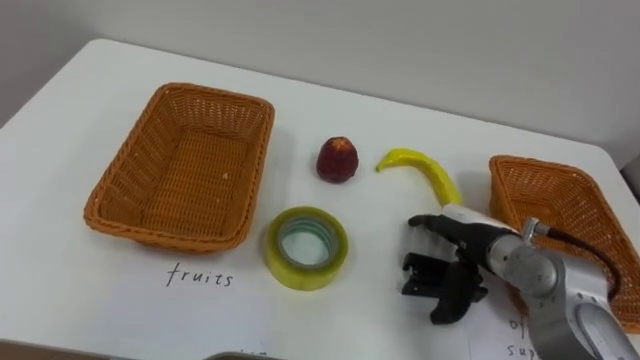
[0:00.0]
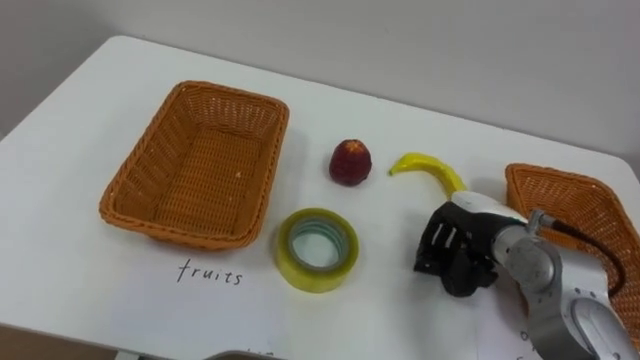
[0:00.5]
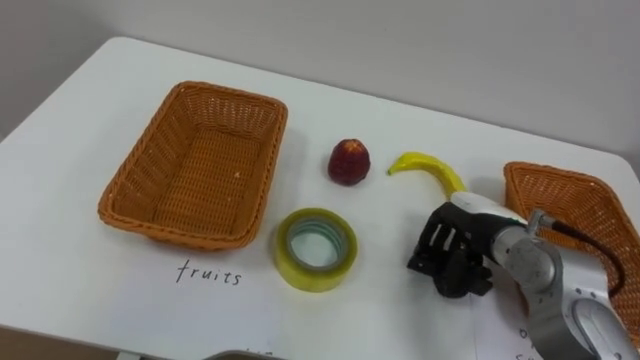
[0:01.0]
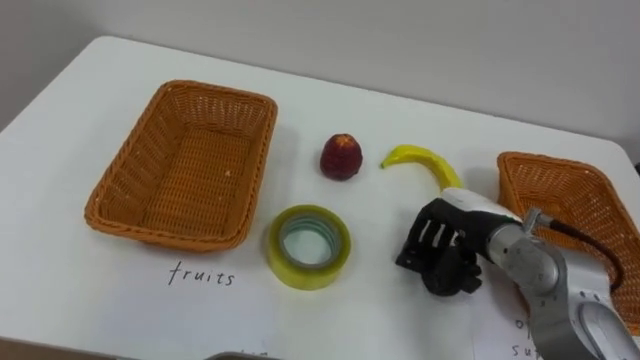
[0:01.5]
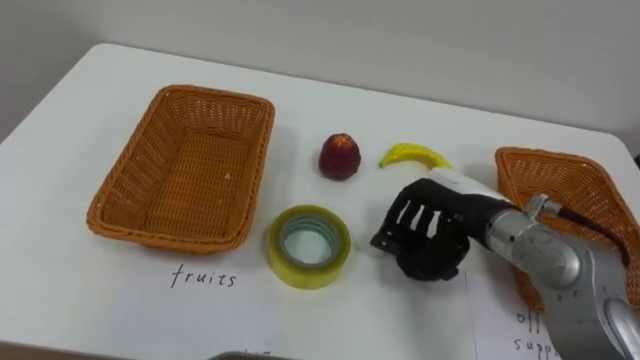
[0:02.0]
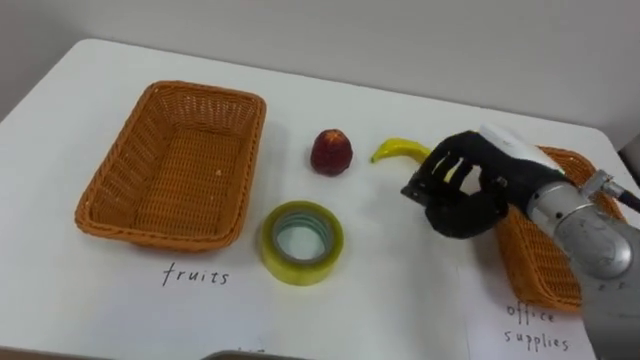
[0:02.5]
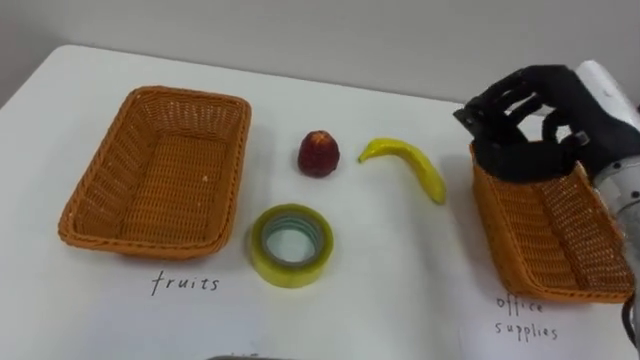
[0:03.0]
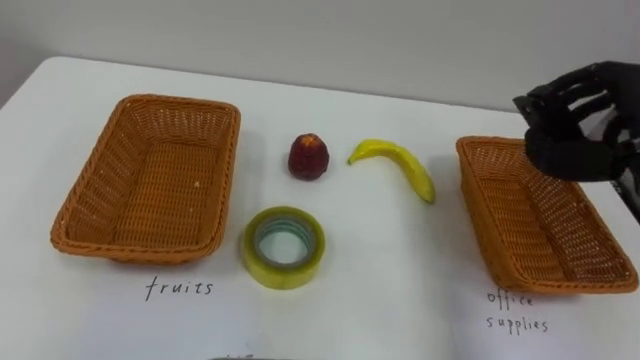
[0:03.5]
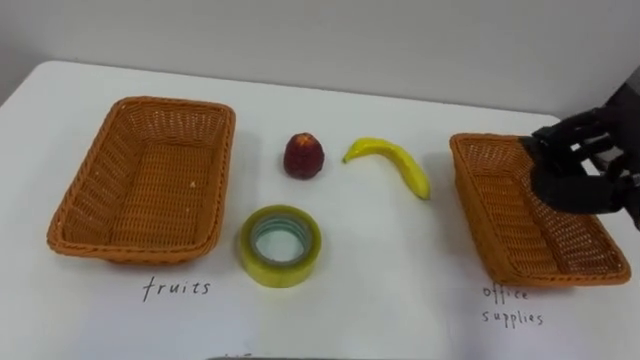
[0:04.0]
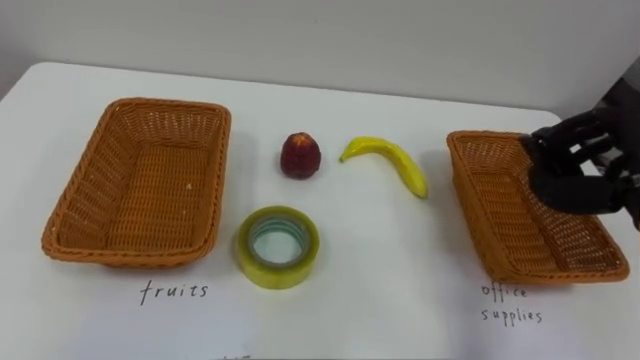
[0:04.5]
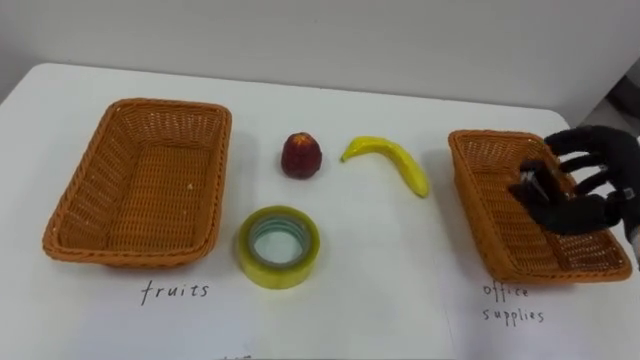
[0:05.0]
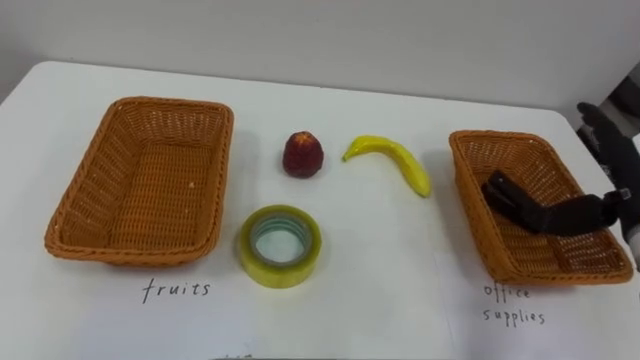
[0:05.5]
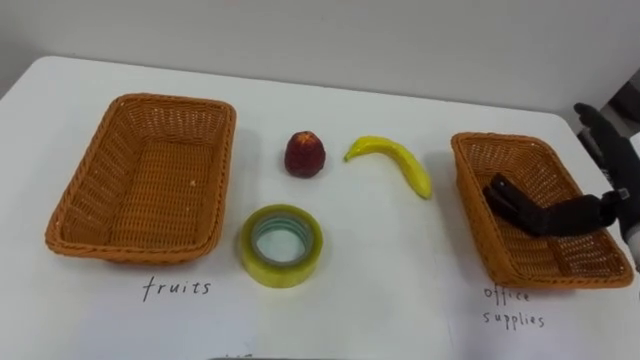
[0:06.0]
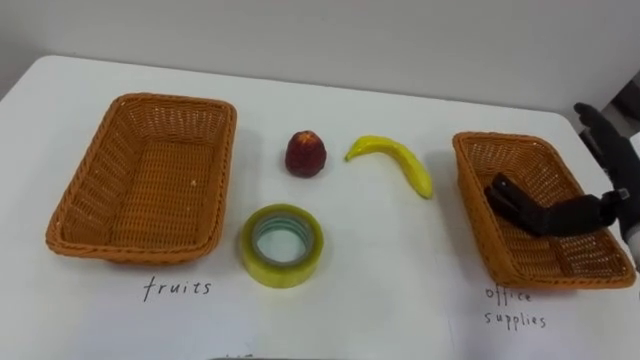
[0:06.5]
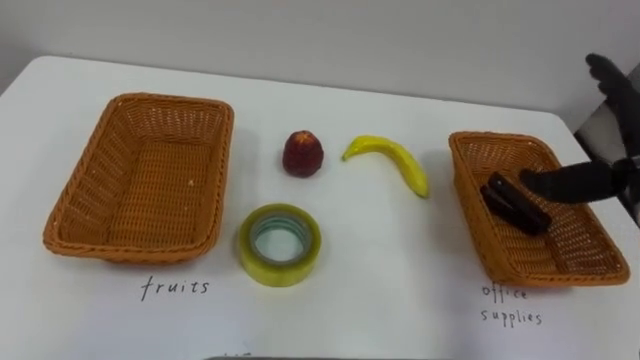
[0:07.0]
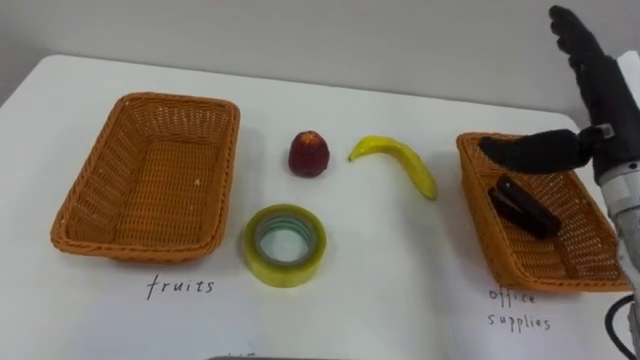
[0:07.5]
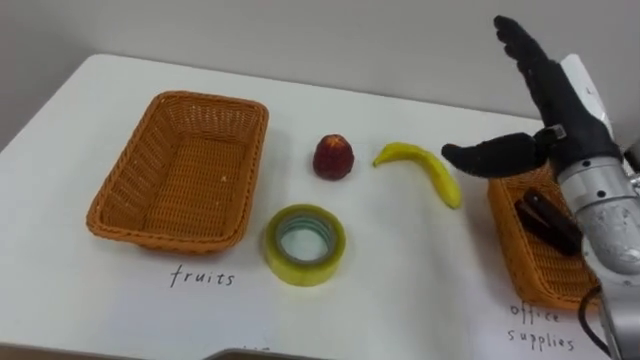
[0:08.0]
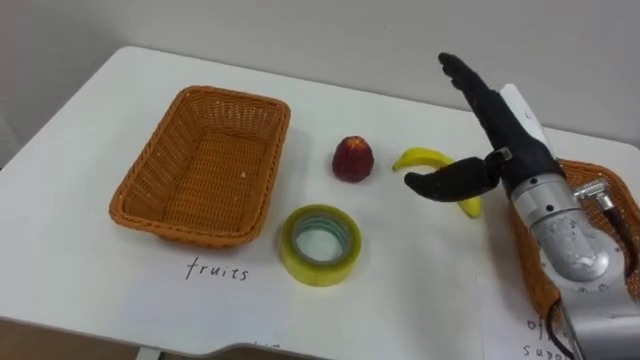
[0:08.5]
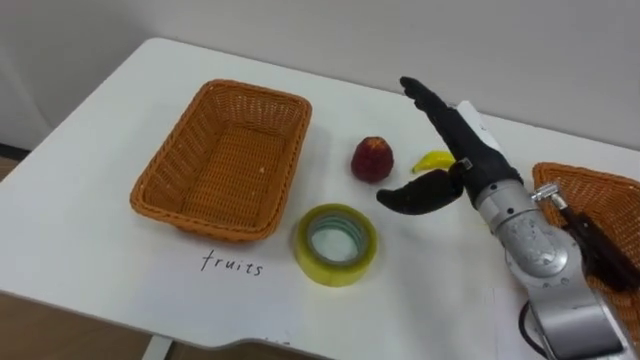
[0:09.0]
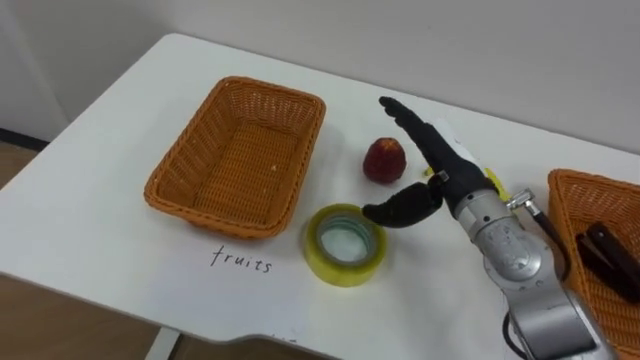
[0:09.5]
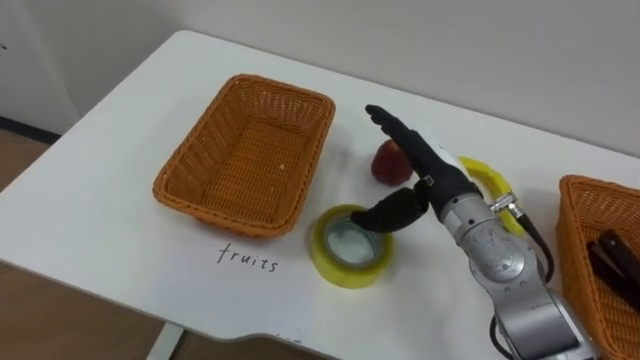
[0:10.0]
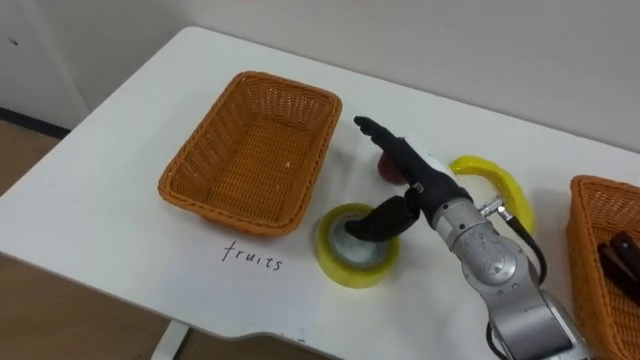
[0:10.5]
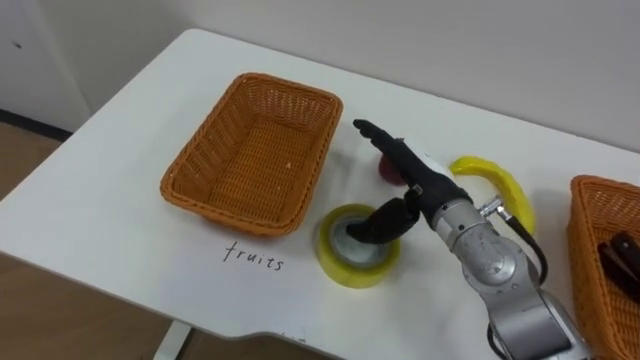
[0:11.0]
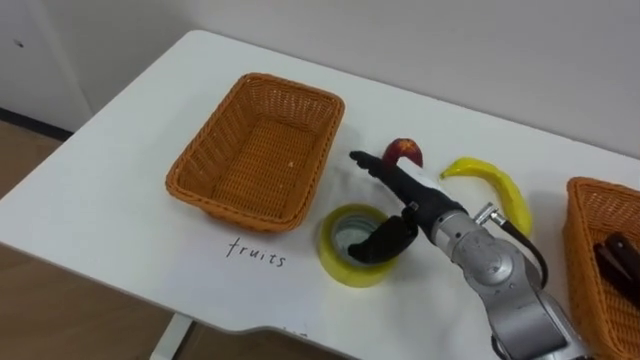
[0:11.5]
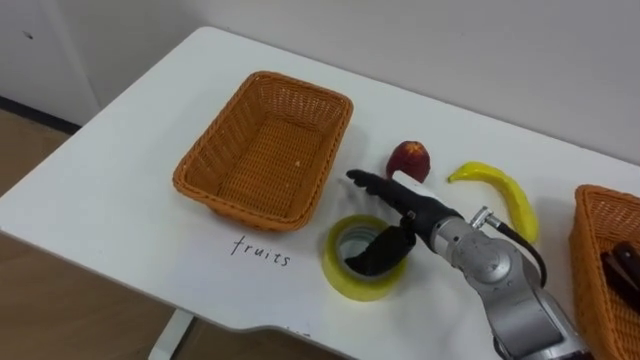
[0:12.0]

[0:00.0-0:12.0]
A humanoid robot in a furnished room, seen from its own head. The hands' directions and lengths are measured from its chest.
Task of the whole recording: Separate the items on the table and place them into the two baskets.
0:00.0 to 0:02.0: The right hand moves upward, roughly 5 cm, and closes.
0:08.0 to 0:10.0: The right hand heads to the left and downward, covering approximately 15 cm.
0:10.0 to 0:12.0: The right hand goes approximately 5 cm downward.

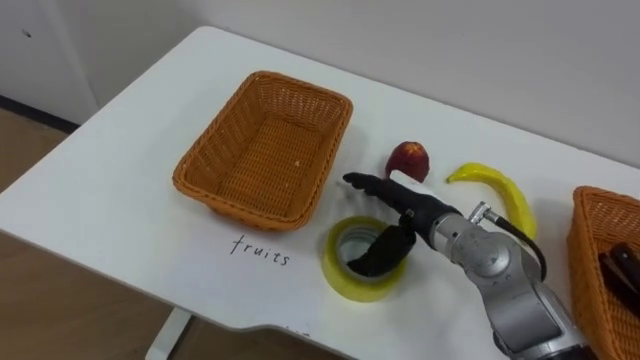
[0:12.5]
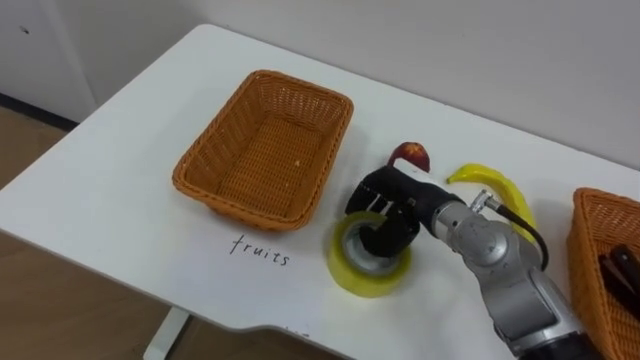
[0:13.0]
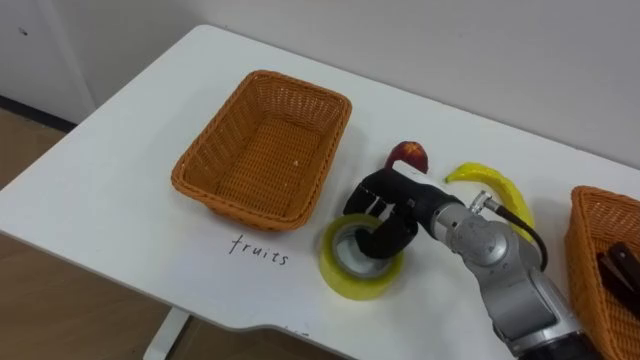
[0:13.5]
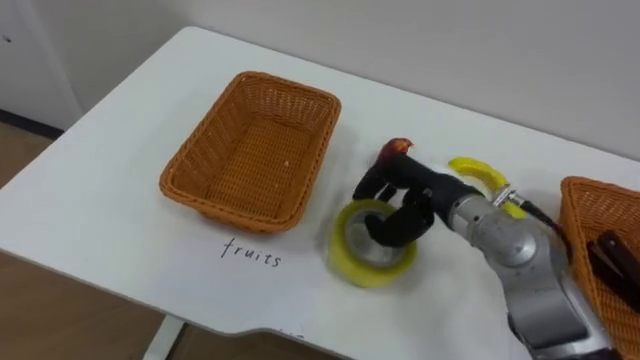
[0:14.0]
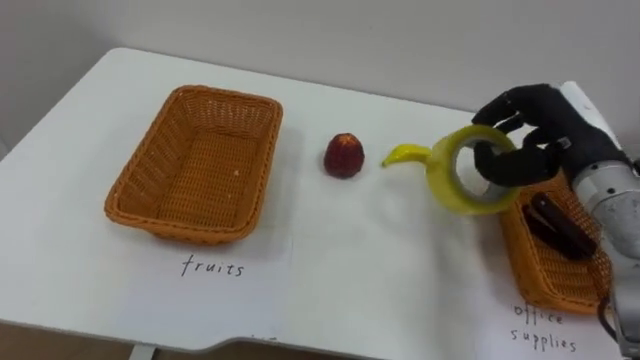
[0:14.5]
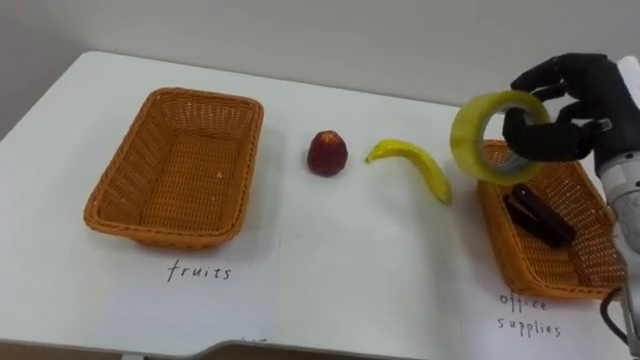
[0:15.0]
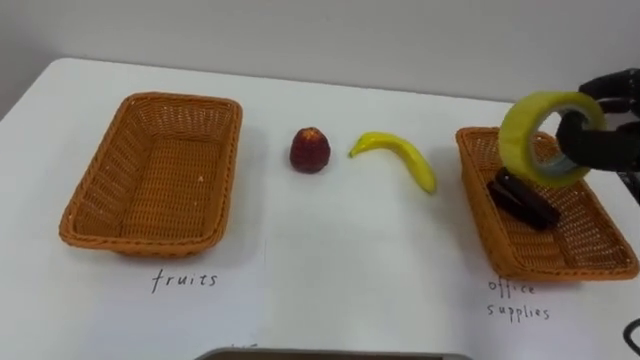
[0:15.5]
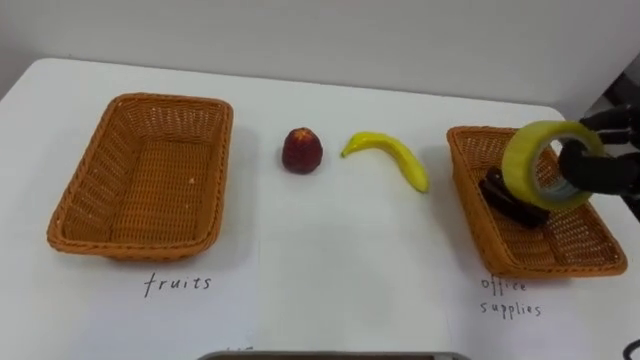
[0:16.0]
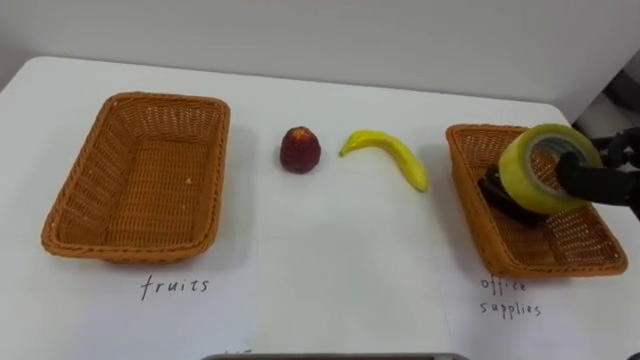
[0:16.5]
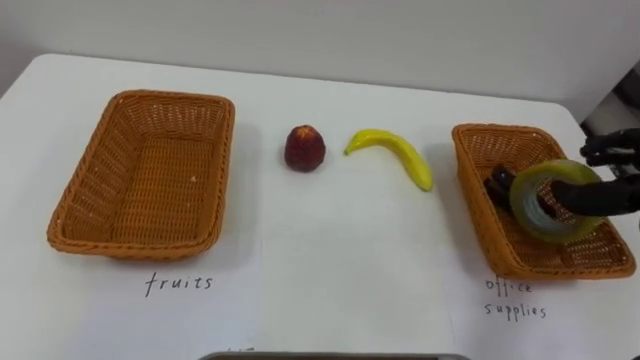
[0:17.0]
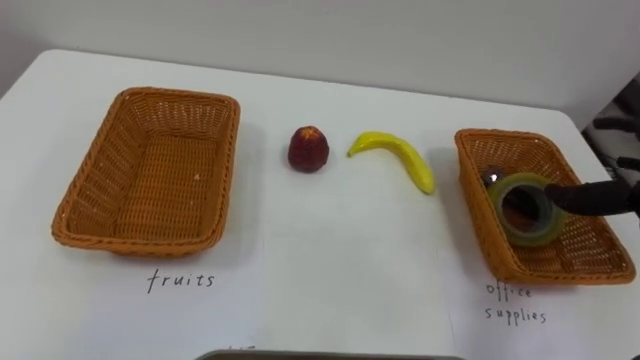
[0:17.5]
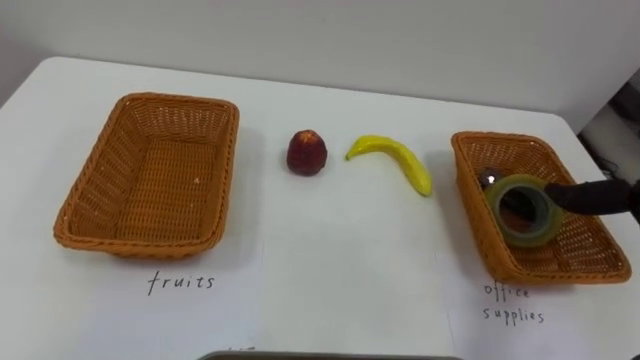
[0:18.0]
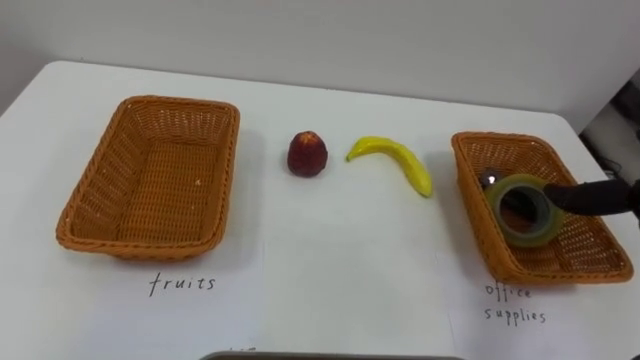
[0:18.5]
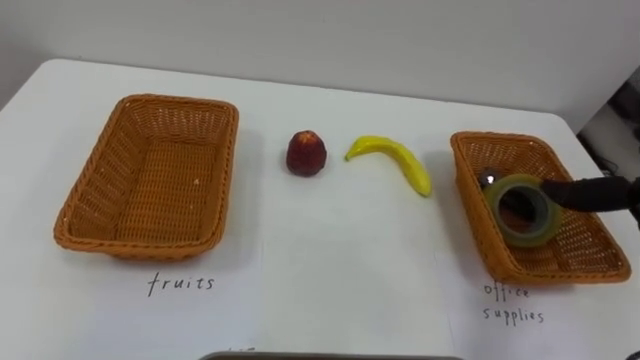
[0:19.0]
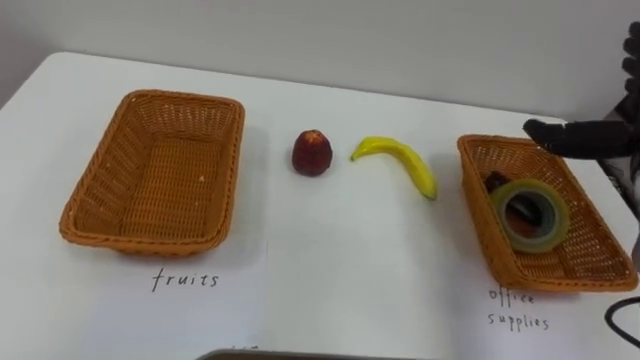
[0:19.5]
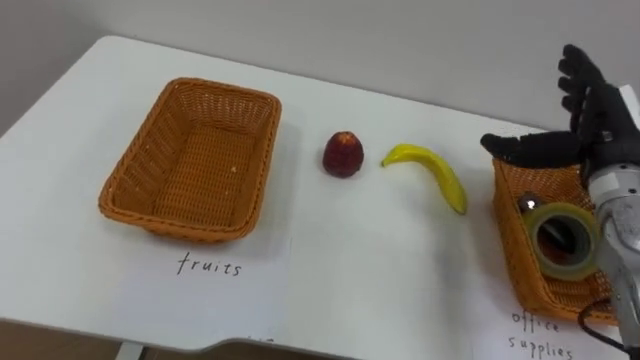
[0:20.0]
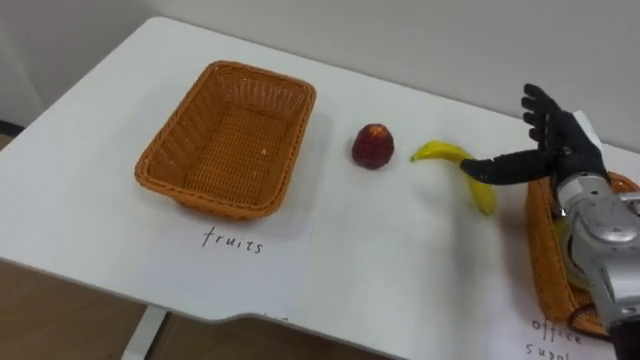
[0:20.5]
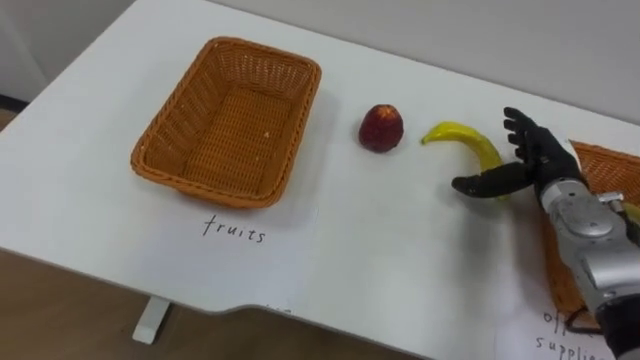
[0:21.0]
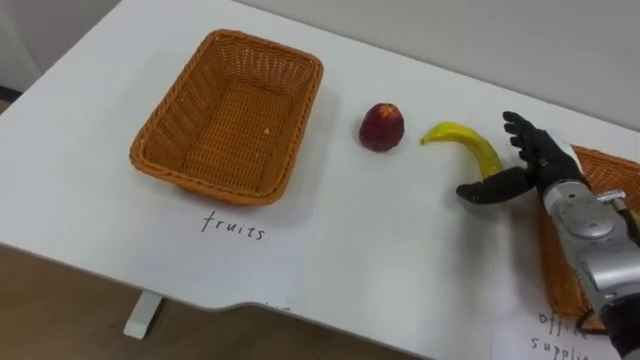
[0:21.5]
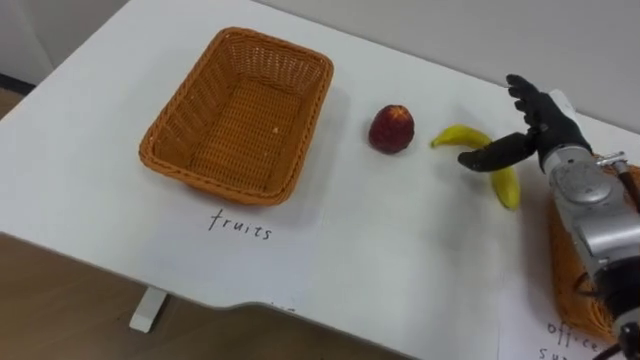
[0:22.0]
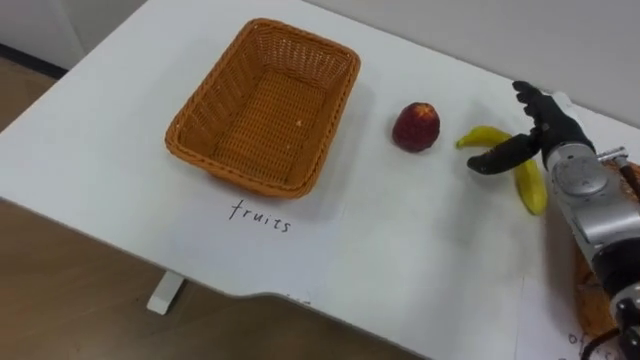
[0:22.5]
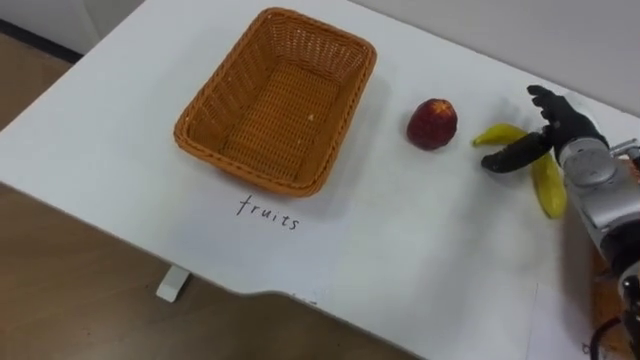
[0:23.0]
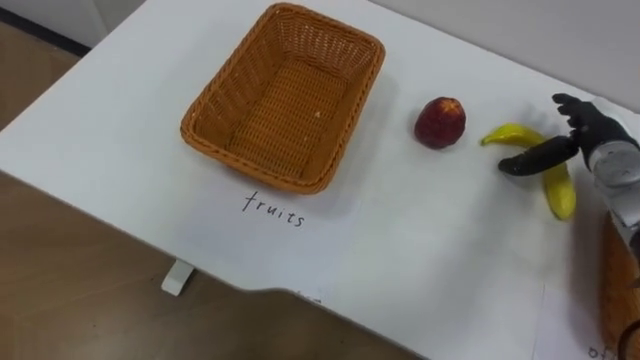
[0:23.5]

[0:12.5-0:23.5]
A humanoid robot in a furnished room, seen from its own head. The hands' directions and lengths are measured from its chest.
Task of the whole recording: Separate the items on the table and place them into the two baskets.
0:12.5 to 0:14.5: The right hand goes about 20 cm to the right and upward, and closes up.
0:20.0 to 0:21.5: The right hand moves downward, approximately 10 cm.
0:21.5 to 0:23.5: The right hand shifts approximately 5 cm to the right.
